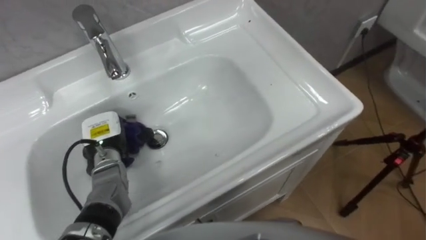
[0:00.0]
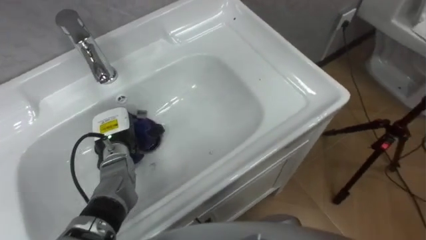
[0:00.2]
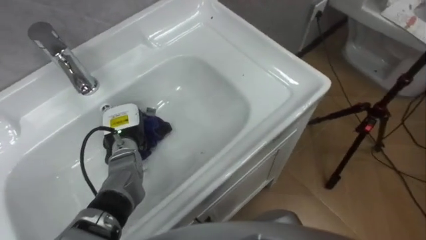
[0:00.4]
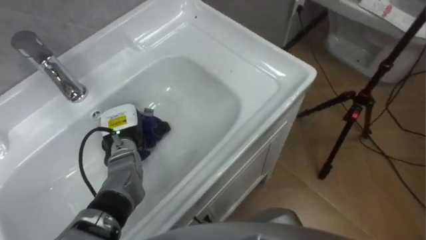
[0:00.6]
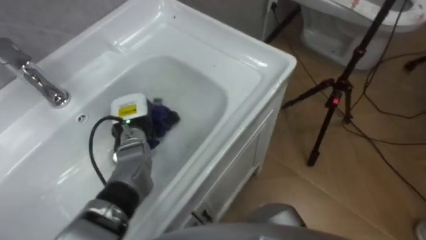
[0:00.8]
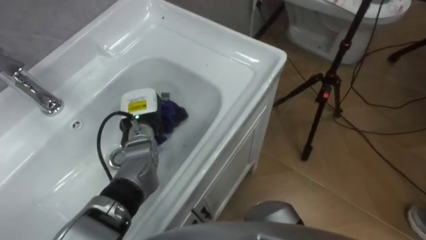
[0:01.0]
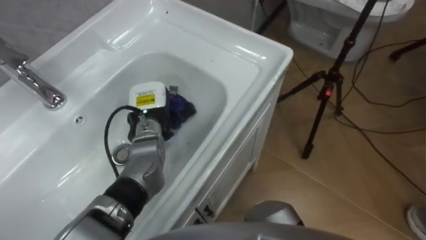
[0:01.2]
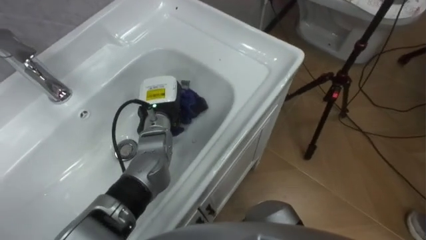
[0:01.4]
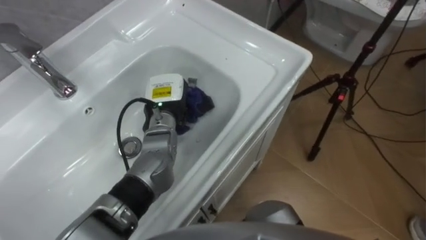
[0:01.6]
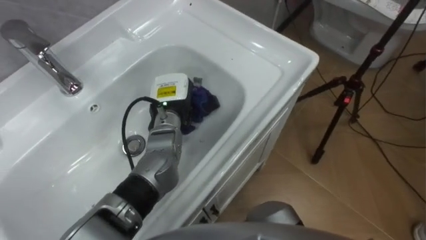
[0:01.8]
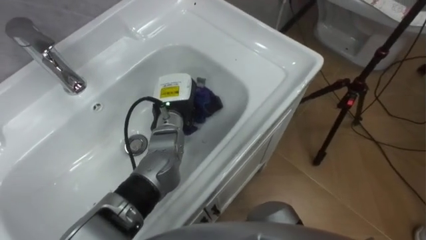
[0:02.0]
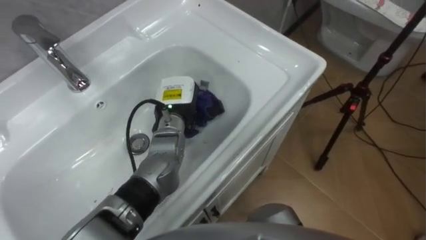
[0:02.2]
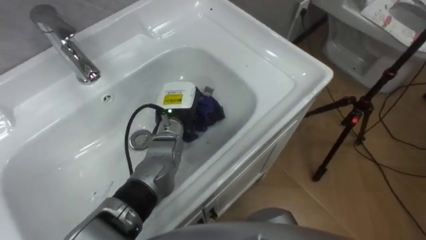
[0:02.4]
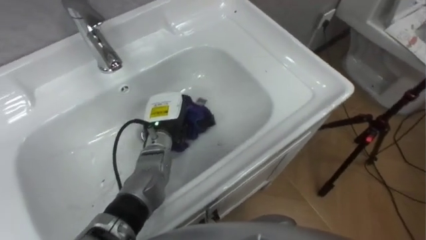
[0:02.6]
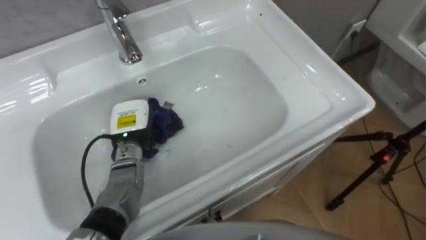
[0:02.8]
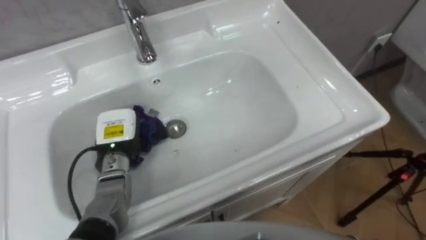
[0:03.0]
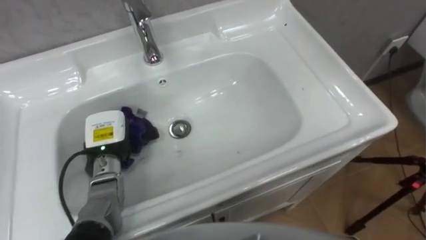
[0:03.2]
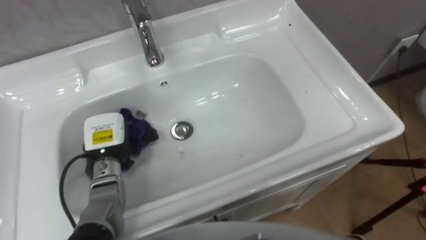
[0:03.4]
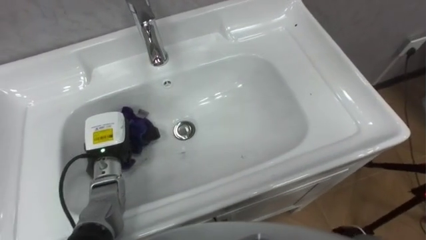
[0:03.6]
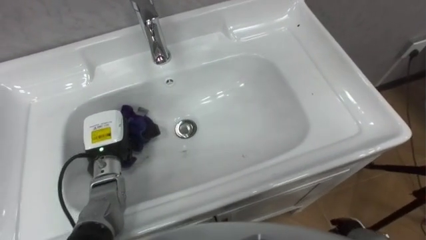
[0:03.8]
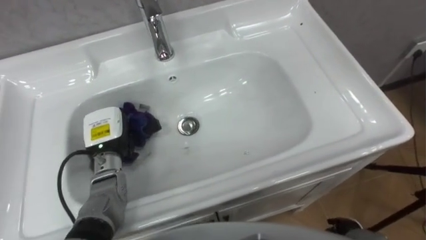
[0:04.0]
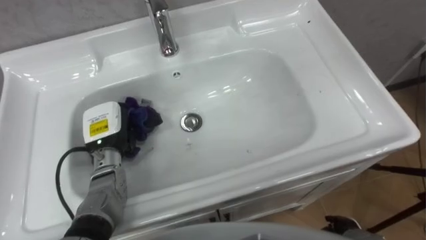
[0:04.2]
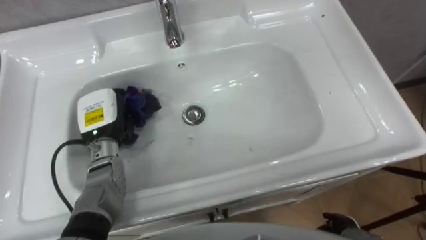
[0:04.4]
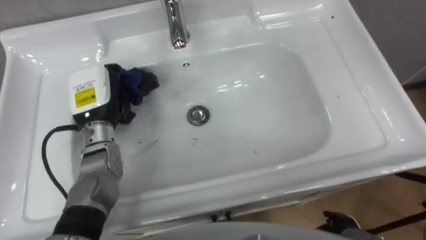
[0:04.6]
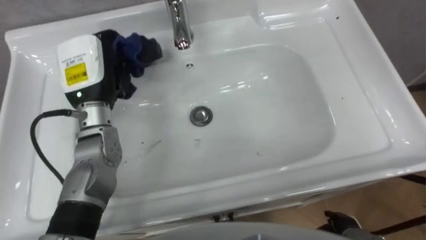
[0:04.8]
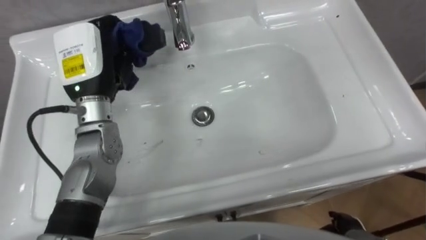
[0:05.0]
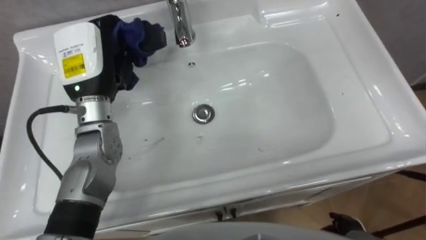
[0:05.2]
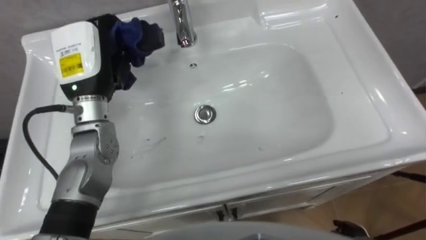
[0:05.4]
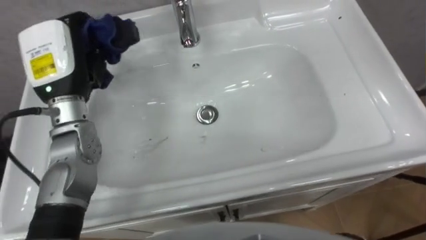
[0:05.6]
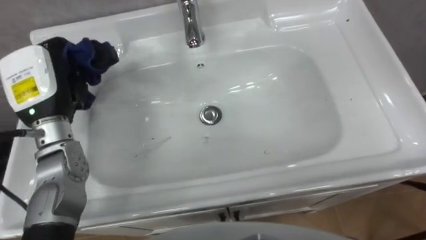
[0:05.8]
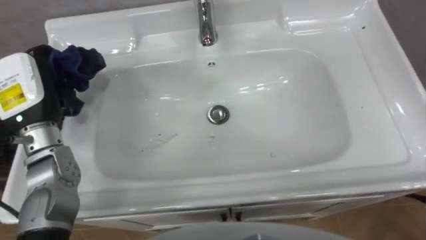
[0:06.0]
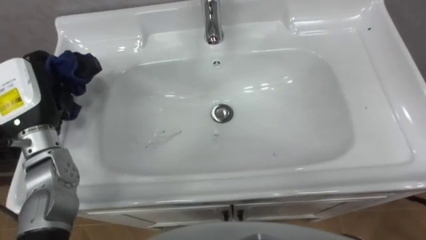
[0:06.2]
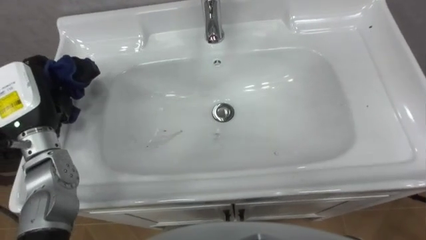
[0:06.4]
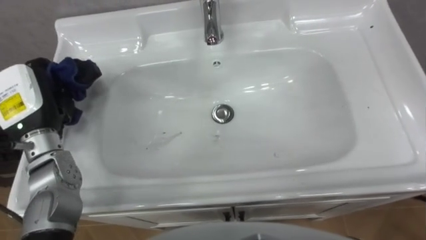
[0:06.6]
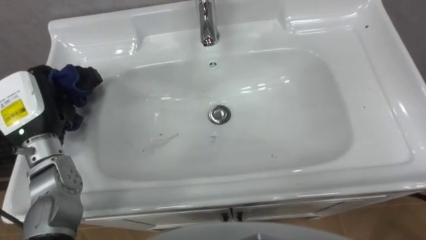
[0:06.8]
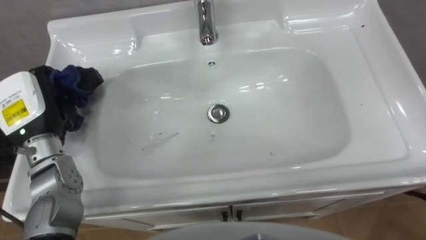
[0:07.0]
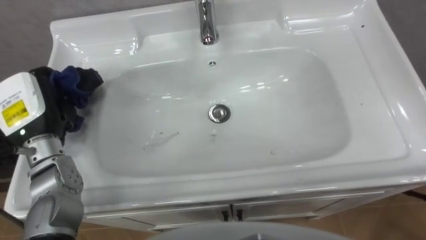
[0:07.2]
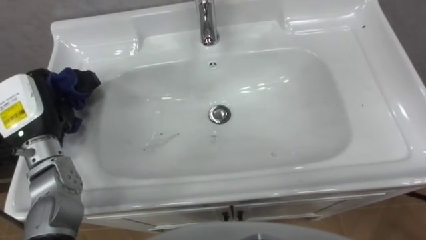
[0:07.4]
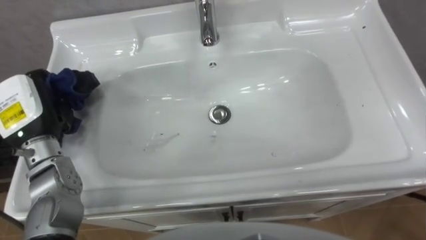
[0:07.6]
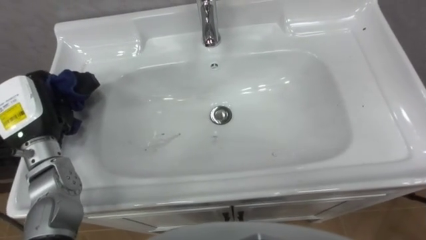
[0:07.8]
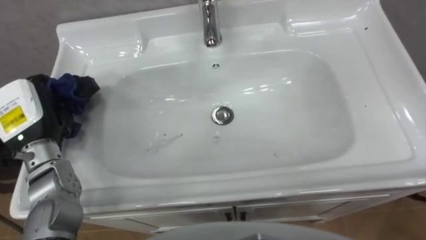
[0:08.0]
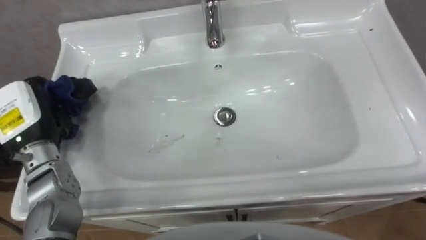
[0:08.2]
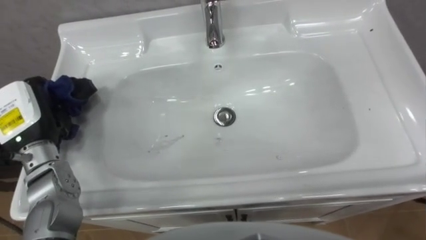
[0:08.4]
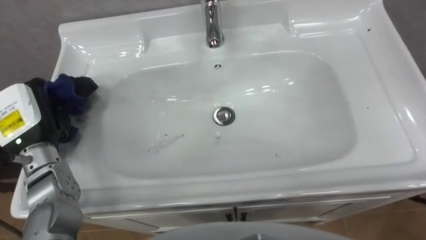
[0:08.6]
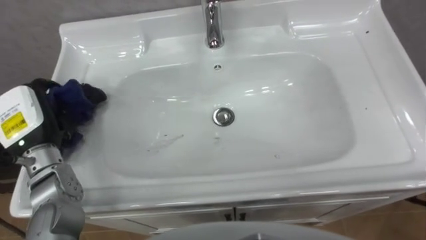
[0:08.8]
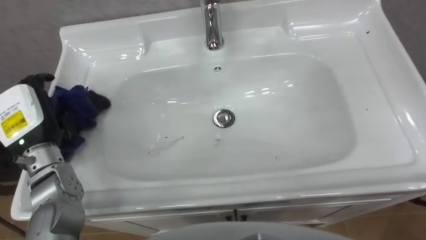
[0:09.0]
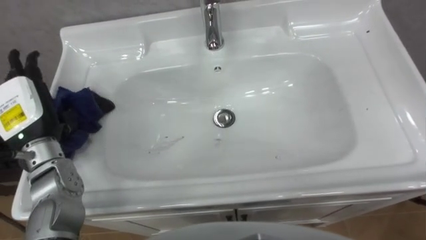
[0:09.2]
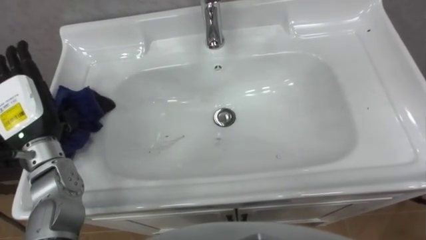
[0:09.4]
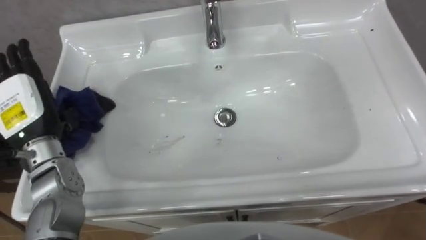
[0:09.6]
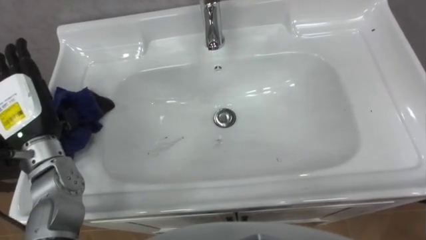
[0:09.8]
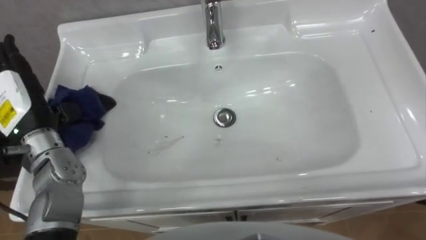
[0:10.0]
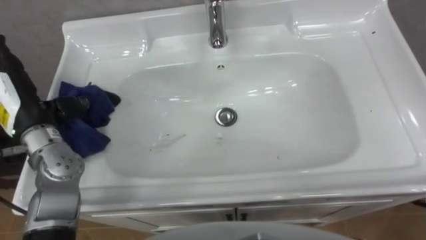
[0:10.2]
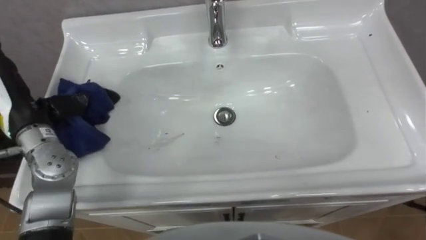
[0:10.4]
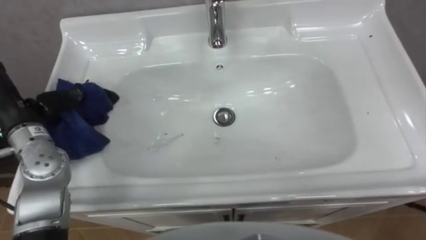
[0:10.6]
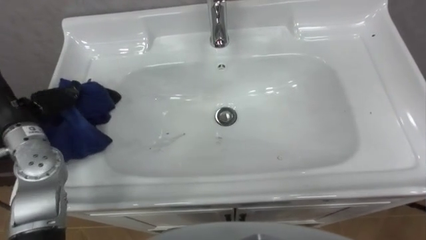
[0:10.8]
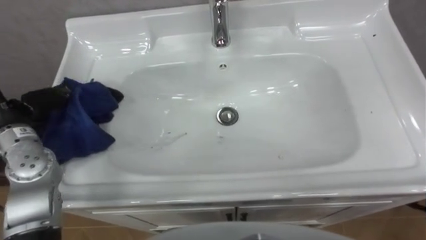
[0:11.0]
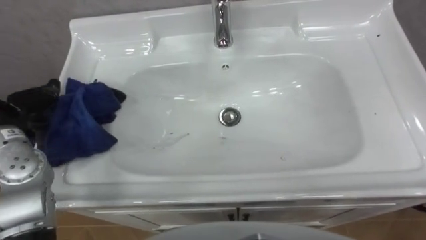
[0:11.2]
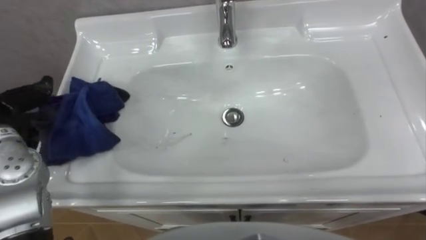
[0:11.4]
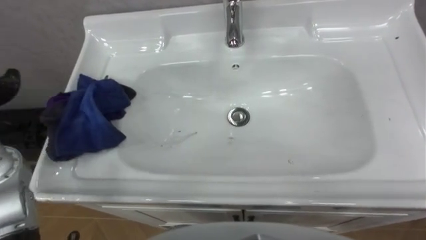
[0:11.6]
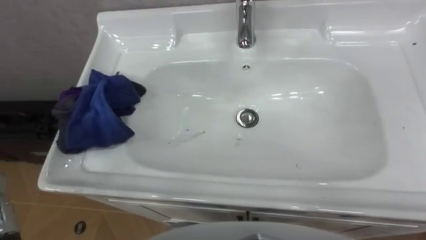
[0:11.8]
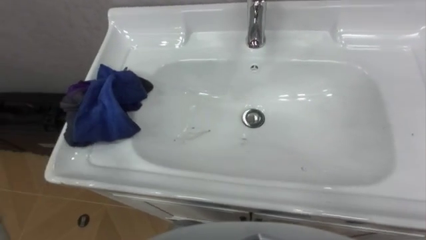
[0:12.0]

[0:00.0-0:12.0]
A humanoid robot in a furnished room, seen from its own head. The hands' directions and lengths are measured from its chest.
Task of the whole recording: Use the cloth on the right to wipe away the black stain in the sink.
0:00.0 to 0:01.6: The left hand shifts roughly 15 cm to the right, forward and upward.
0:01.6 to 0:03.0: The left hand goes about 15 cm to the left and backward.
0:03.0 to 0:04.4: The left hand moves some 5 cm.
0:04.4 to 0:06.0: The left hand goes about 15 cm upward and to the left.
0:07.6 to 0:09.0: The left hand opens.
